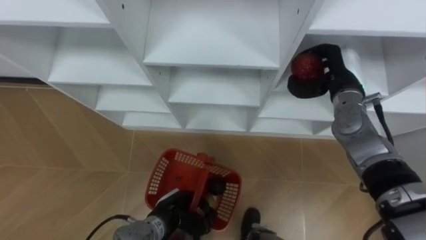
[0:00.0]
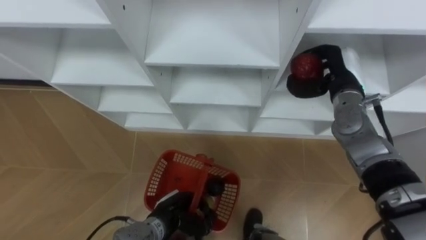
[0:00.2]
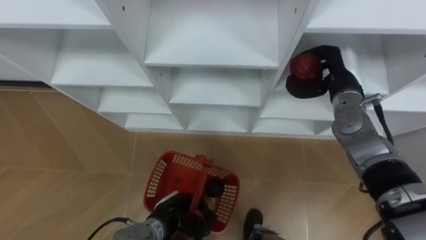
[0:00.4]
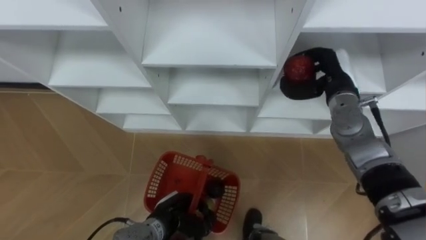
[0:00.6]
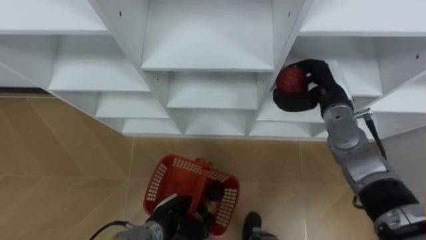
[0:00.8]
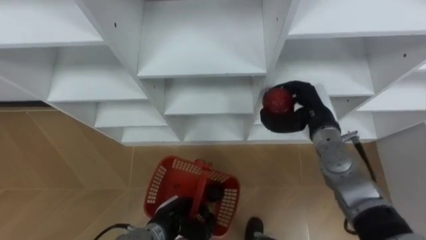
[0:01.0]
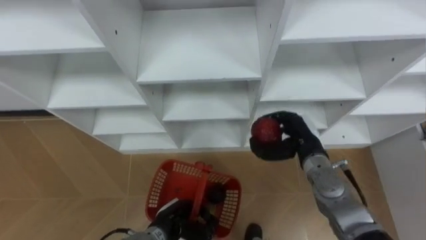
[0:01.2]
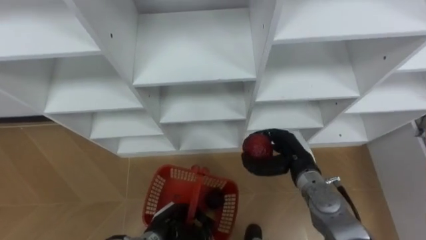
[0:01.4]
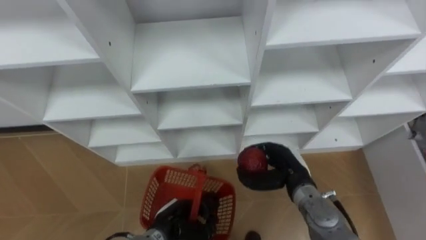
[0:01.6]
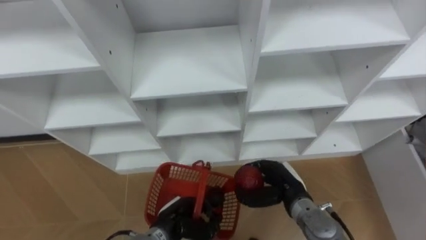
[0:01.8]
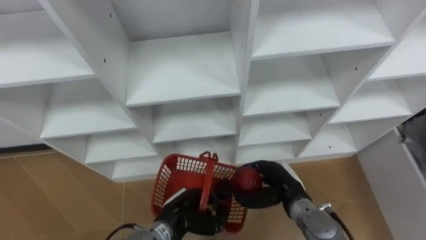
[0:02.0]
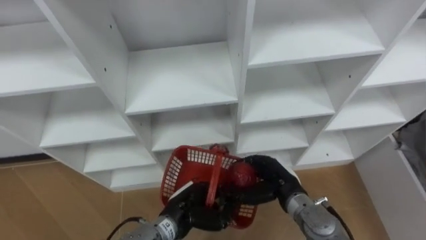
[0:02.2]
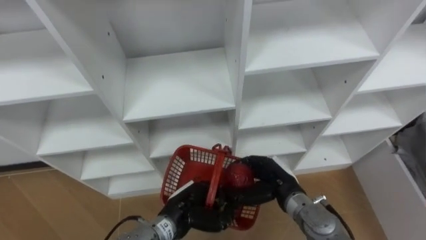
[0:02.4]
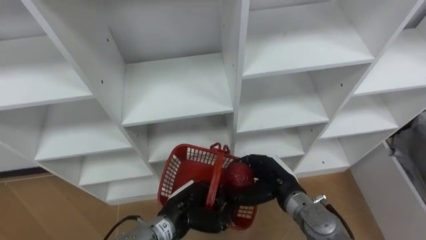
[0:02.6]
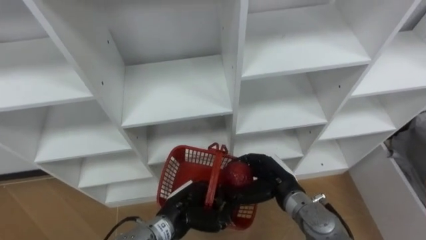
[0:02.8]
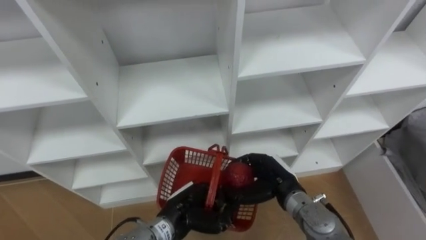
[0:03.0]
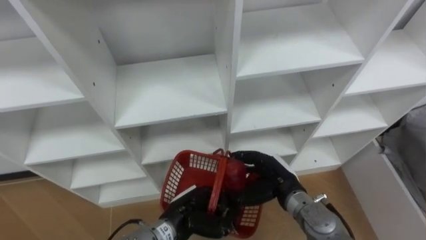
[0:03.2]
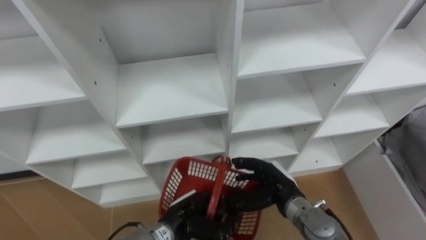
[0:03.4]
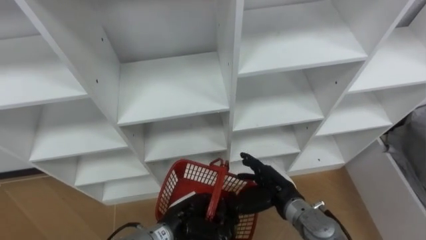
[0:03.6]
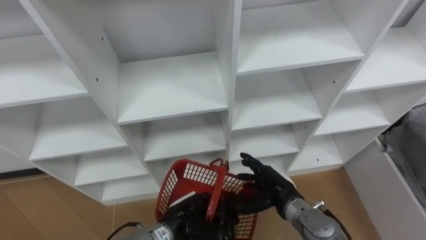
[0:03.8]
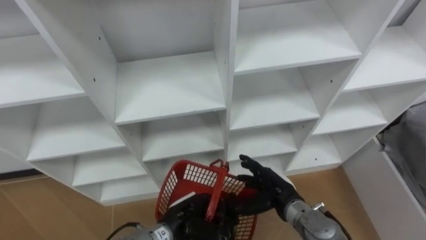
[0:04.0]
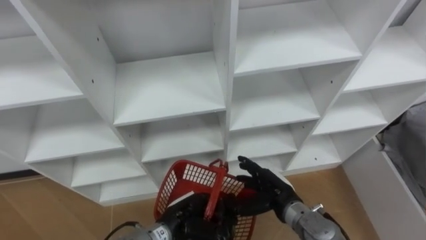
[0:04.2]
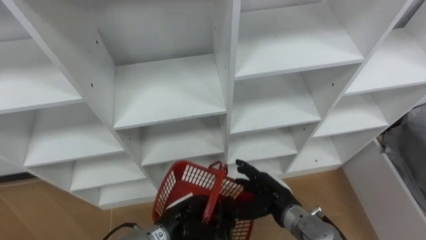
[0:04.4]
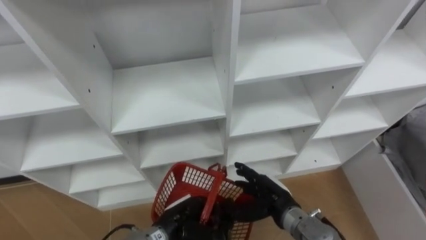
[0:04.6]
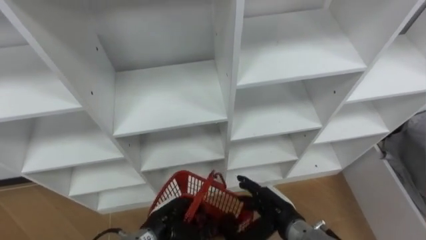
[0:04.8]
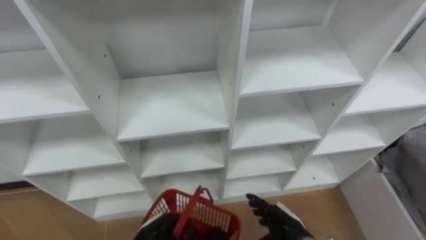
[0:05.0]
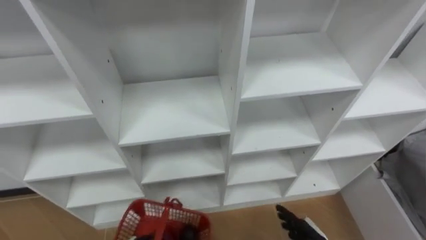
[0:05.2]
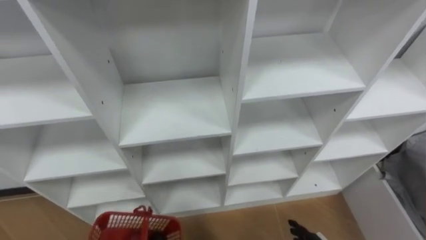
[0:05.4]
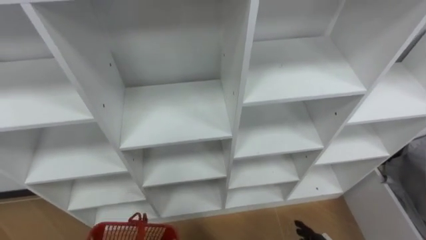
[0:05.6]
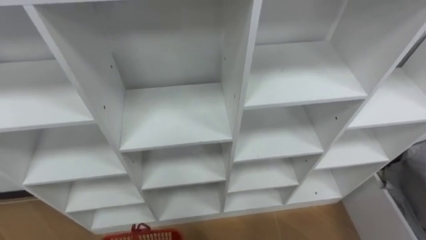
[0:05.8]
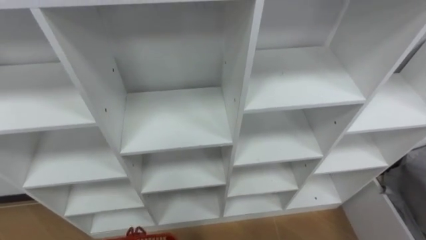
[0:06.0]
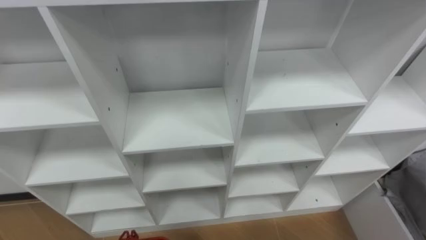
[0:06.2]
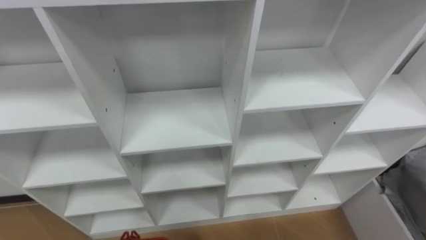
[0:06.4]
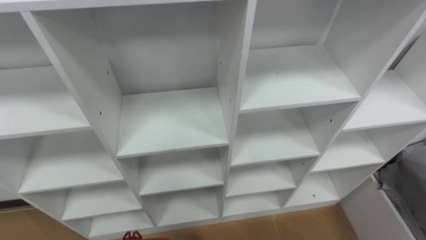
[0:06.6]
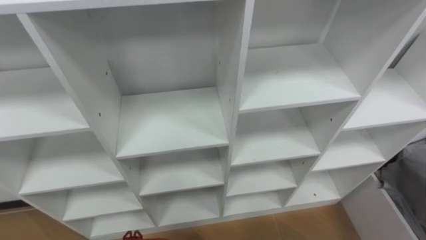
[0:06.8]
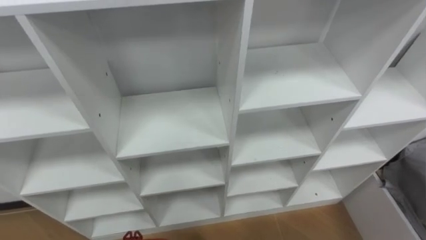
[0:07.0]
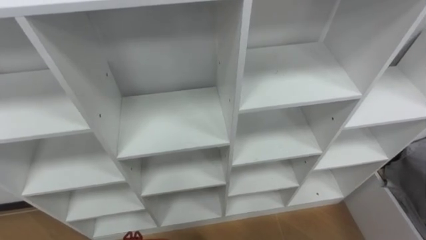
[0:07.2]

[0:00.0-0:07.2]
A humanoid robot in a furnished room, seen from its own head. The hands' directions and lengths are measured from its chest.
Task of the whole recording: Hold the basket and collect the fruits from 3 different cells of the closet into it.
0:00.0 to 0:01.4: The right hand heads downward, backward and to the left, covering roughly 20 cm.
0:01.4 to 0:02.8: The left hand goes about 5 cm upward, while the right hand moves about 5 cm.
0:02.8 to 0:04.4: The right hand opens up.

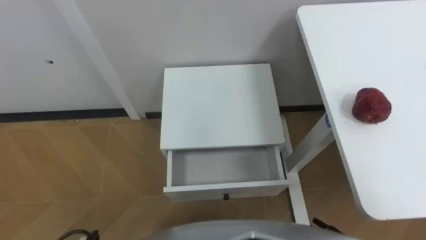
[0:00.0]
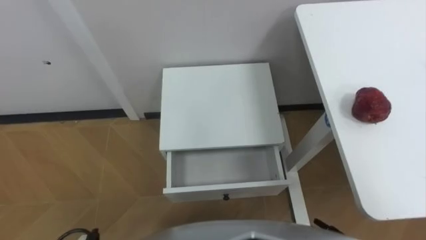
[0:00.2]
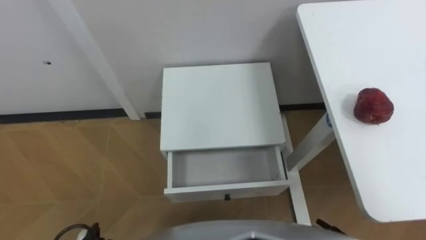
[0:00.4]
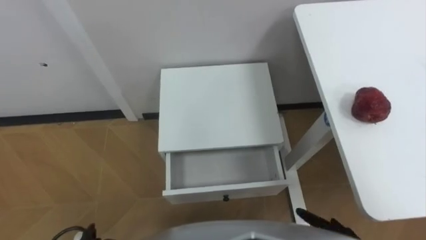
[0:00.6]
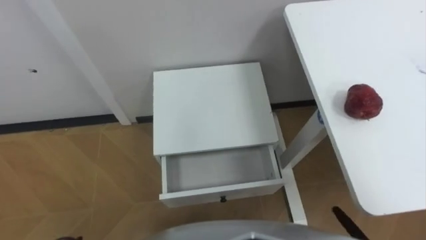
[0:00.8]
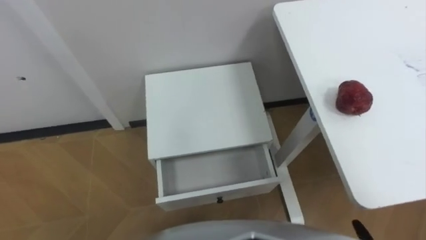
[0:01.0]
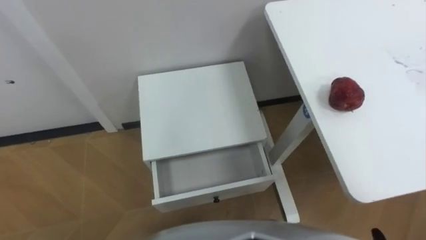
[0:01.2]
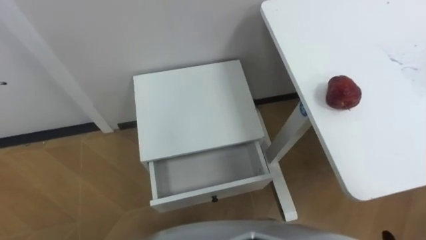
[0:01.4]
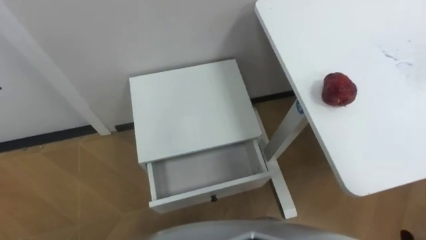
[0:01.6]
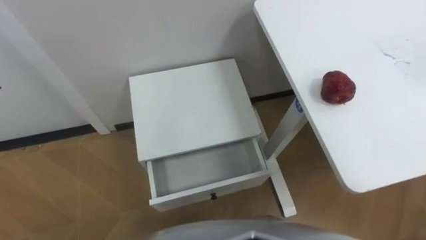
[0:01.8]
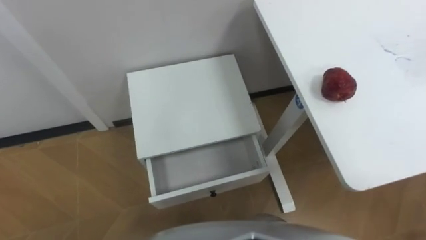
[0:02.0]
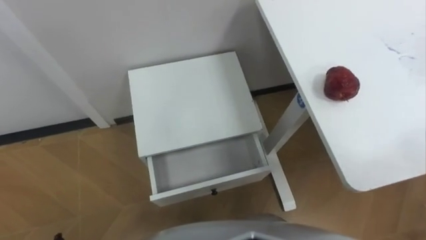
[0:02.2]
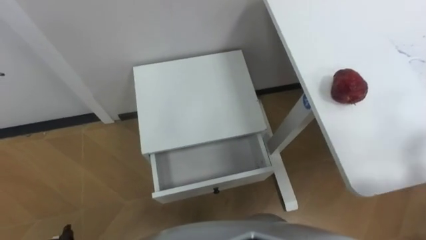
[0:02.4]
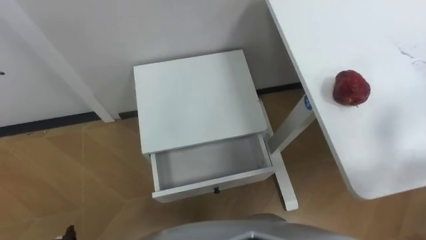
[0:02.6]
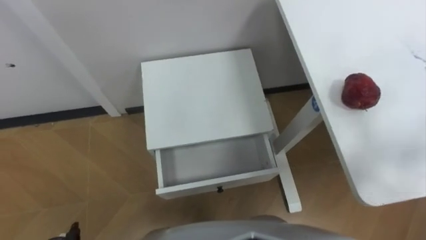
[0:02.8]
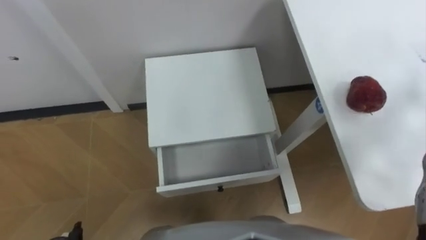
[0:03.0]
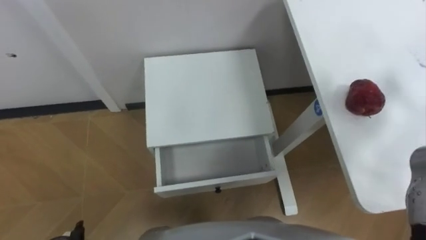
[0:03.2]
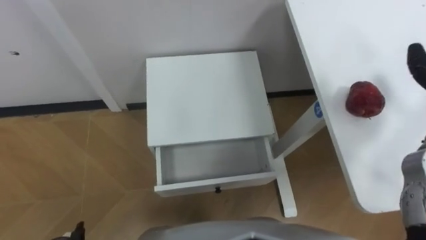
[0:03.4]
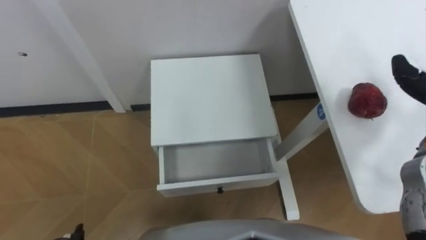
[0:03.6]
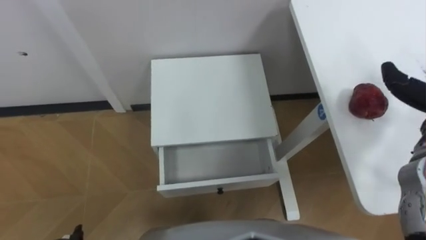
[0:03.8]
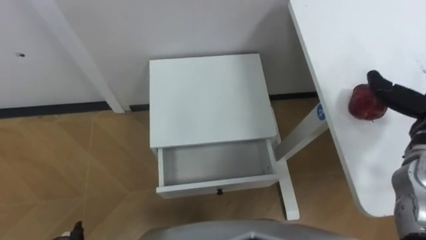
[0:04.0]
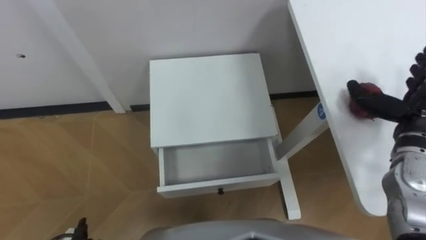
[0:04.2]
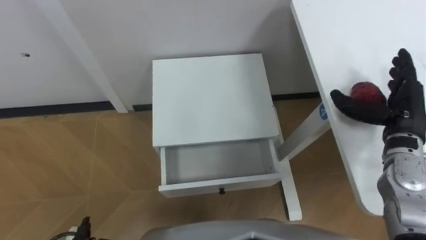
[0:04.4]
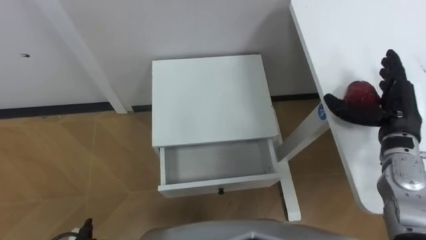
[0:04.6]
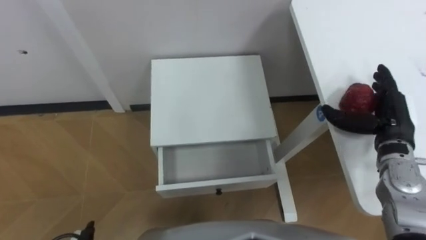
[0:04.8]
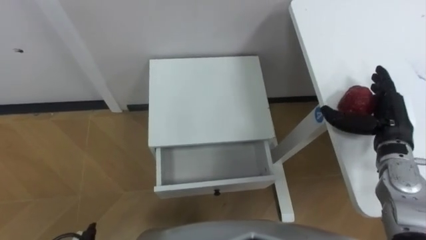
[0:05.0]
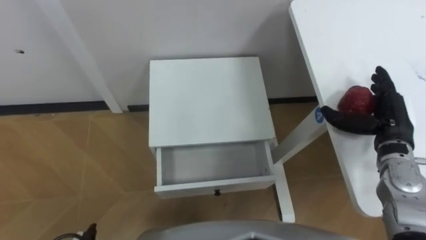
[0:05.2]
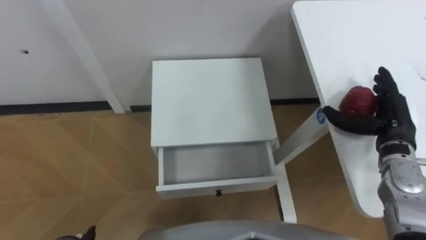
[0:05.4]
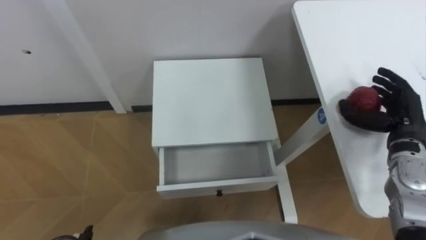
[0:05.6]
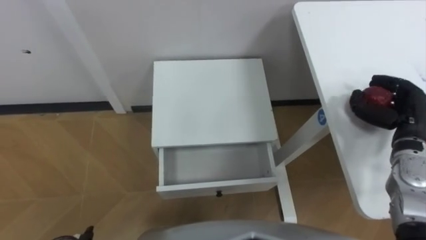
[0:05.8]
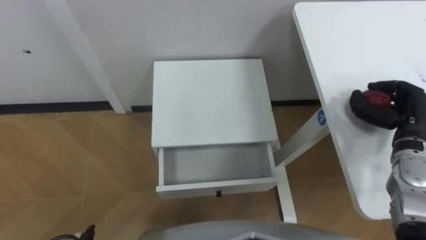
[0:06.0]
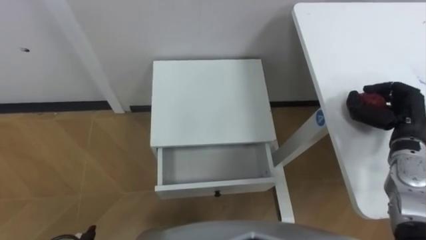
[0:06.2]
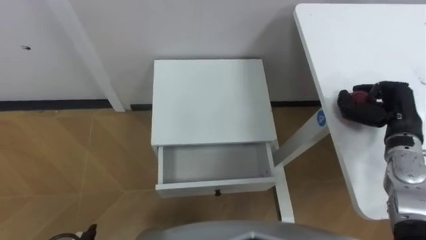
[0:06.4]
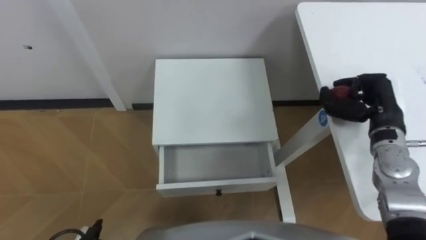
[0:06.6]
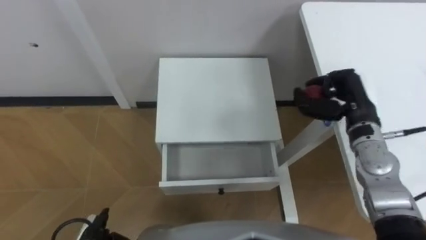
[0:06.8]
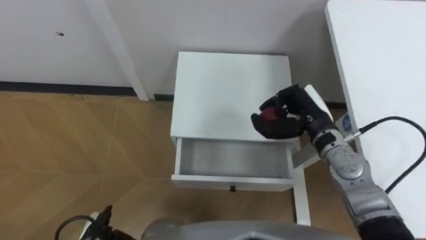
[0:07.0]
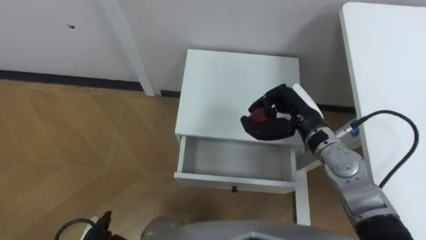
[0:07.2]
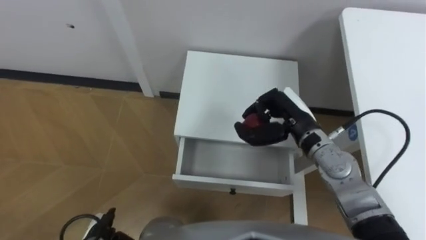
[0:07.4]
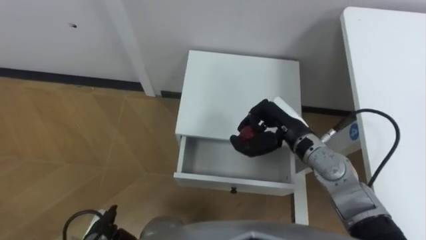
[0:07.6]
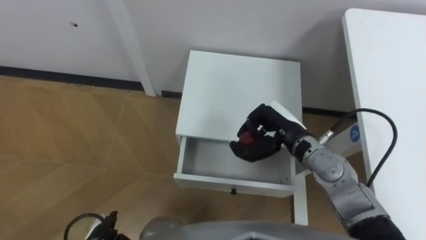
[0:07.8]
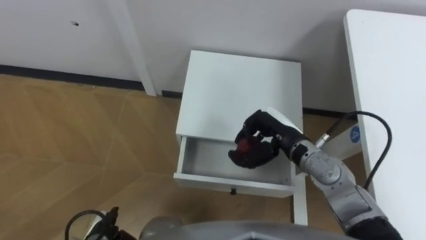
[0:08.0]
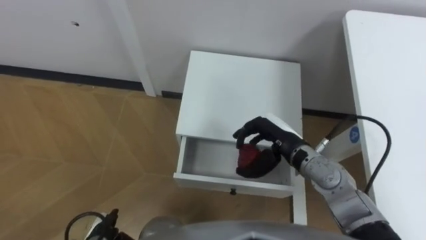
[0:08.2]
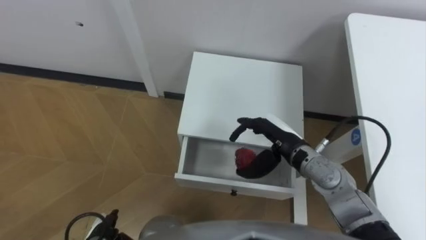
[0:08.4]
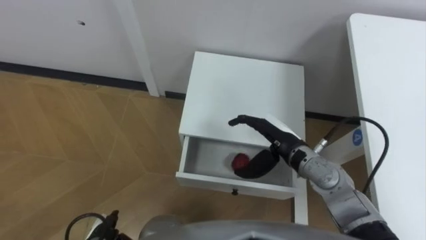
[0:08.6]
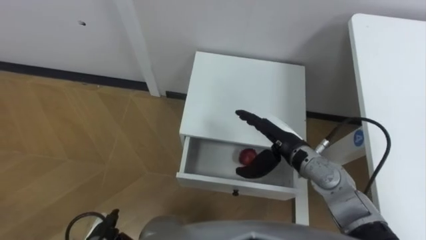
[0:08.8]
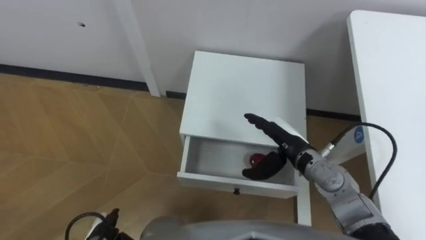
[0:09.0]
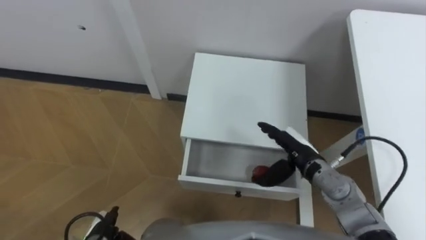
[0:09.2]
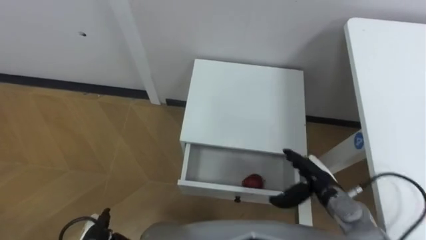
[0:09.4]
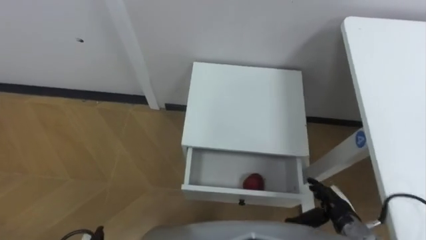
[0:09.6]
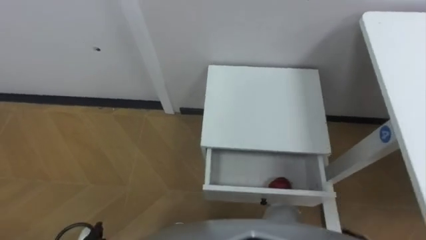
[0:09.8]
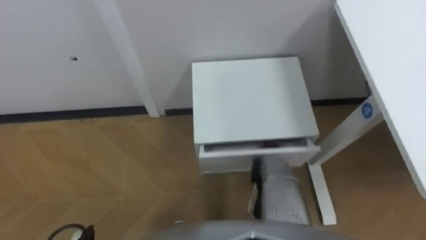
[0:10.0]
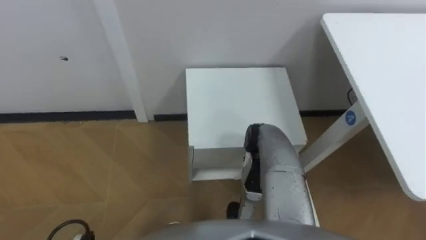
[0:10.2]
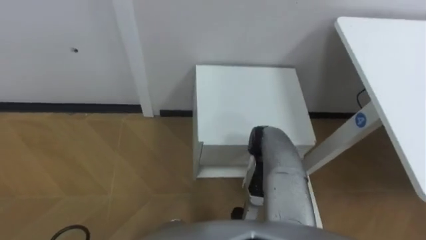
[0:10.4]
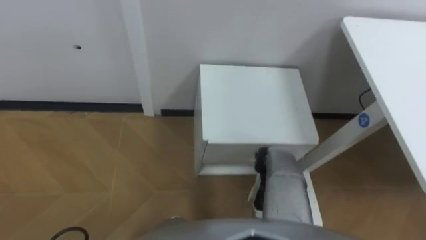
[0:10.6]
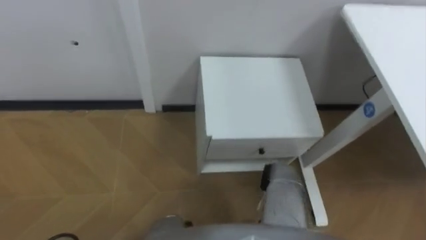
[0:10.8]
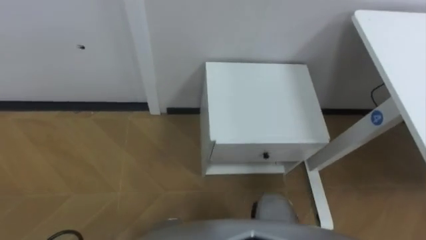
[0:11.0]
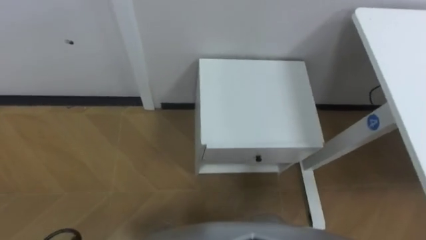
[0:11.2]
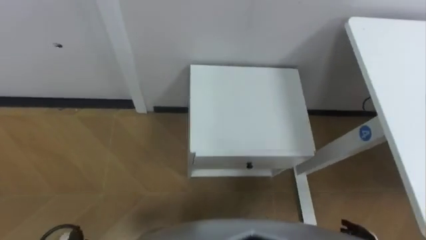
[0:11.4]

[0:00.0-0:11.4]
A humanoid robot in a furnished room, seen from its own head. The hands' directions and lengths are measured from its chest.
Task of the whole recording: Pick up the apple from the table, put it in the drawer, and close the drawer with leg.
0:05.6 to 0:07.2: The right hand goes some 20 cm to the left, and closes.
0:07.2 to 0:08.6: The right hand moves approximately 5 cm, and opens up.
